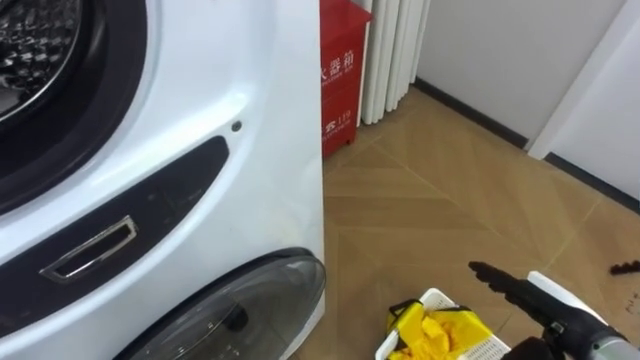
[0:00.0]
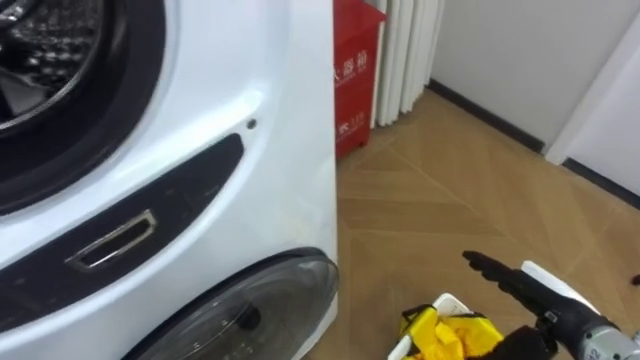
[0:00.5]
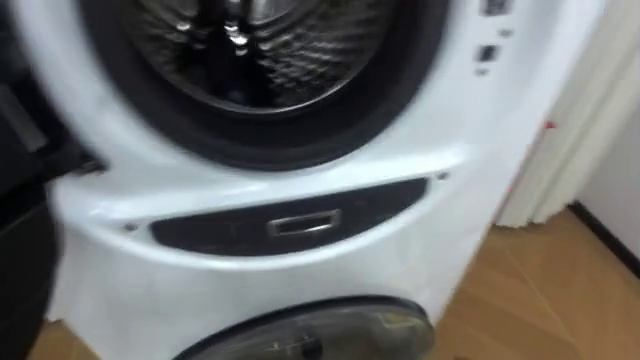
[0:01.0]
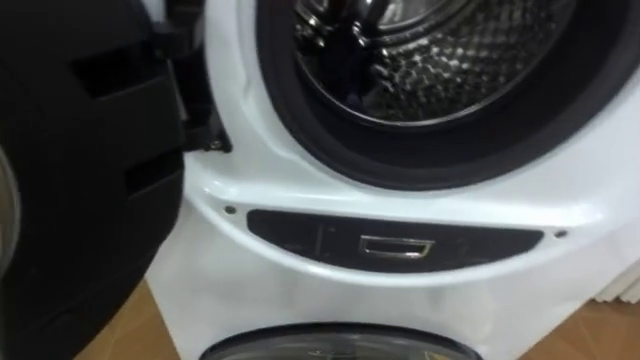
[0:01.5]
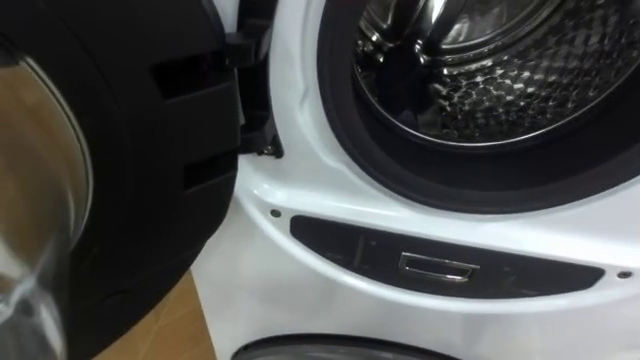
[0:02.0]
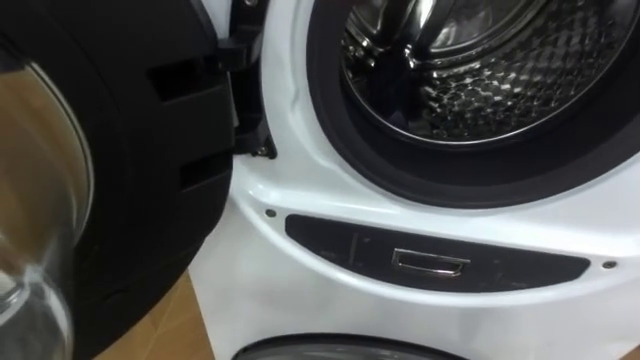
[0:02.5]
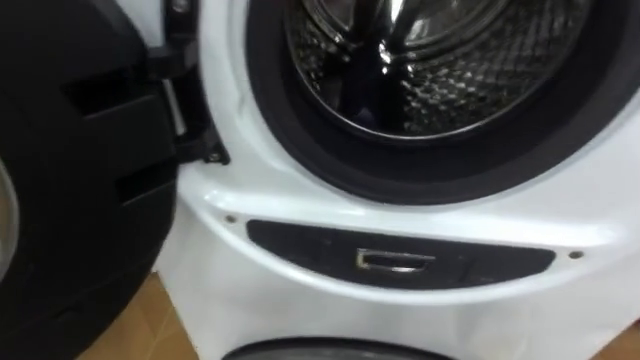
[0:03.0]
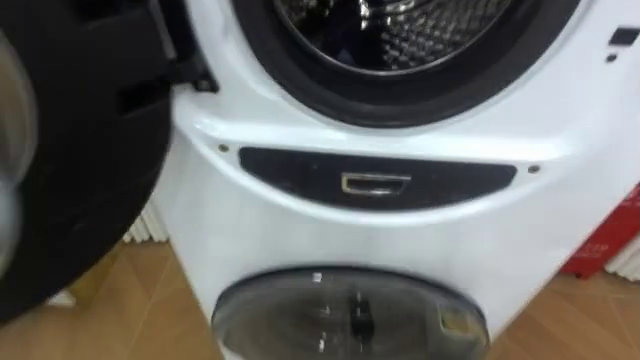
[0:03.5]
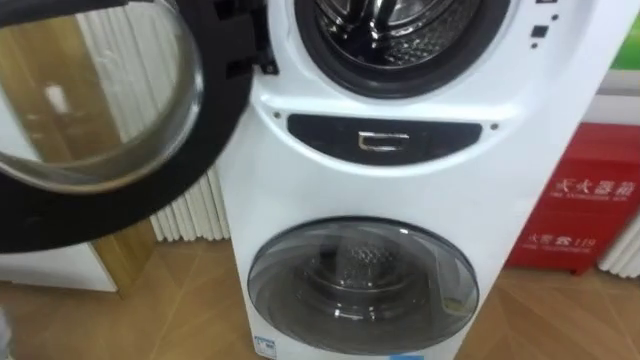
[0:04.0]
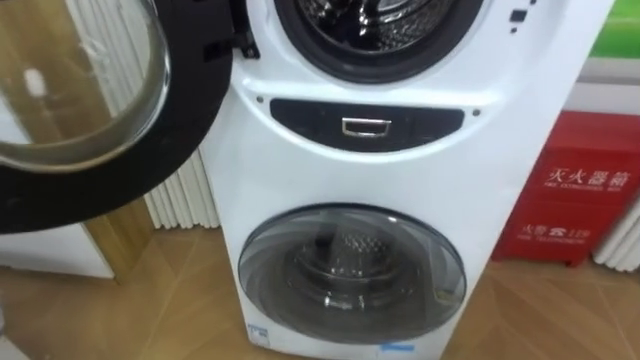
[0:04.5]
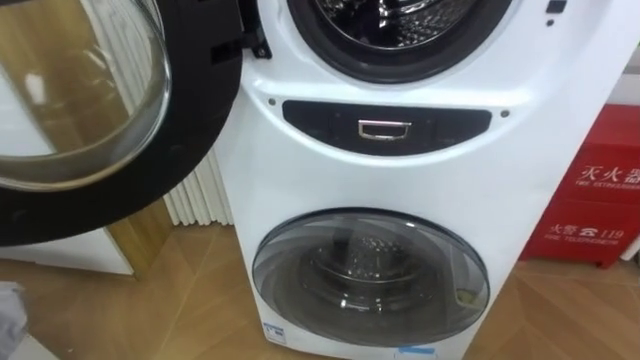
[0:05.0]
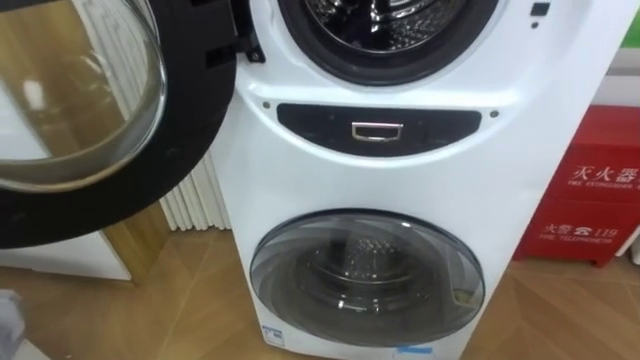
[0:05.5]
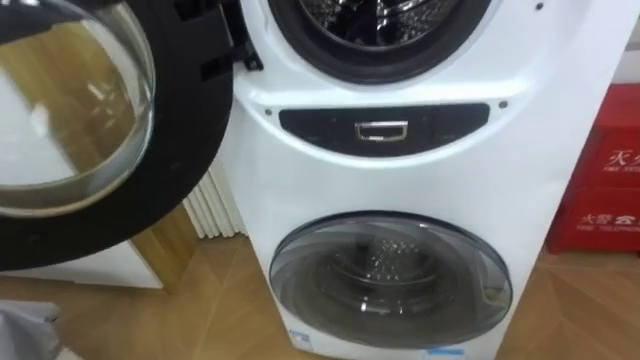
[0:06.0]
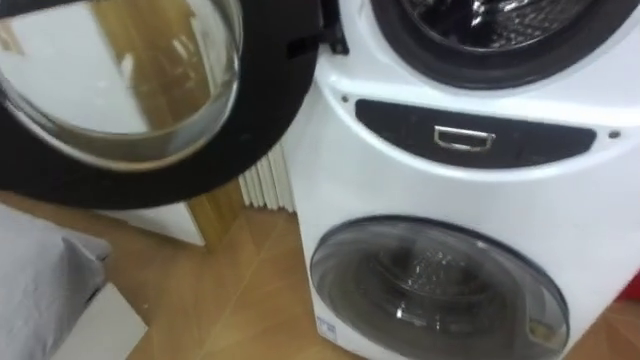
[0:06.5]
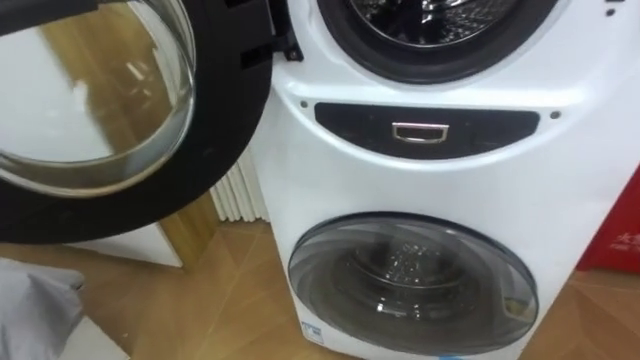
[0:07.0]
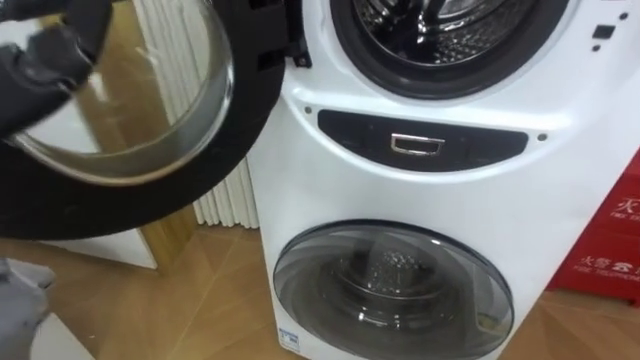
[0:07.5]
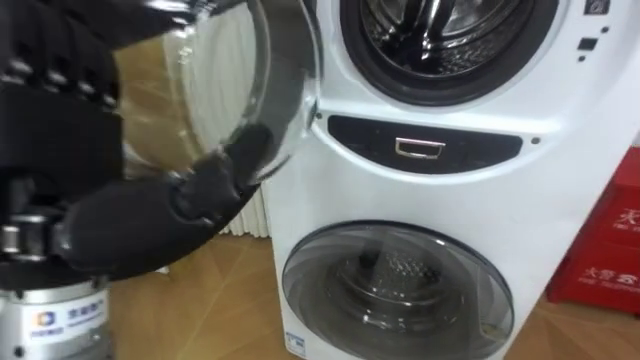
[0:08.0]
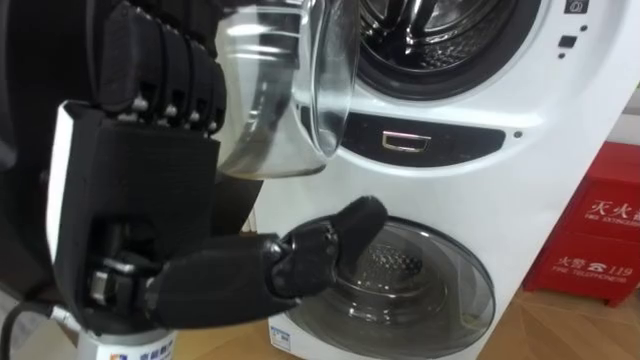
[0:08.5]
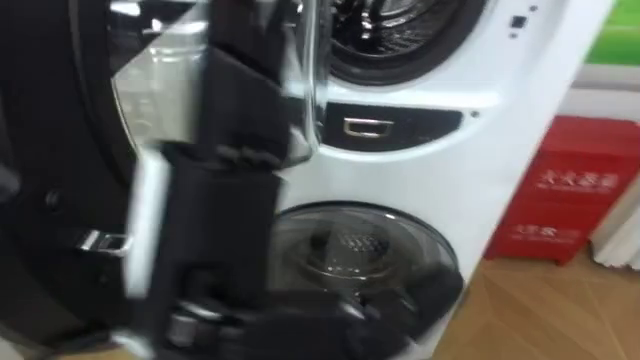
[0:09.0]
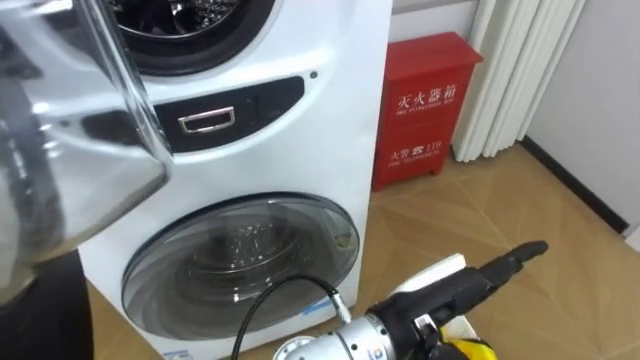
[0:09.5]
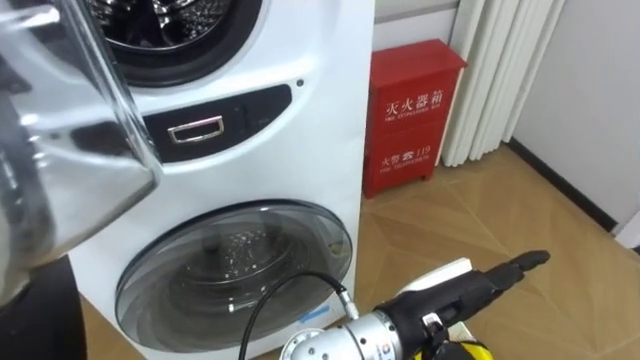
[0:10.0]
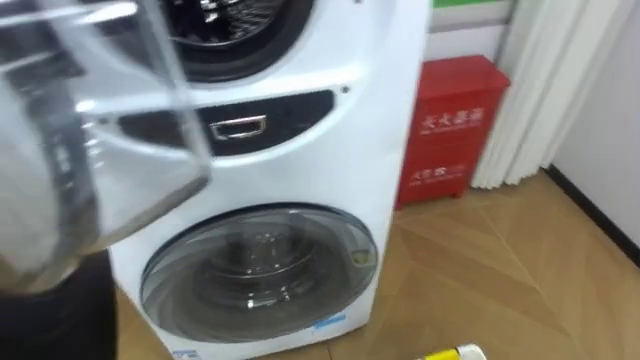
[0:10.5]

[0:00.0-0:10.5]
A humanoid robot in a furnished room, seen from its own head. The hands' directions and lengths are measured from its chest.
Task of the whole recording: Open the washing machine door, take out the yellow clothes, place them in the box on the right, and close the washing machine door.
0:00.0 to 0:02.0: The robot rotates some 40 degrees to its left.

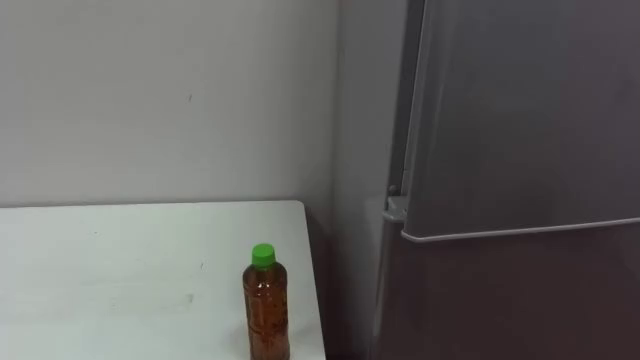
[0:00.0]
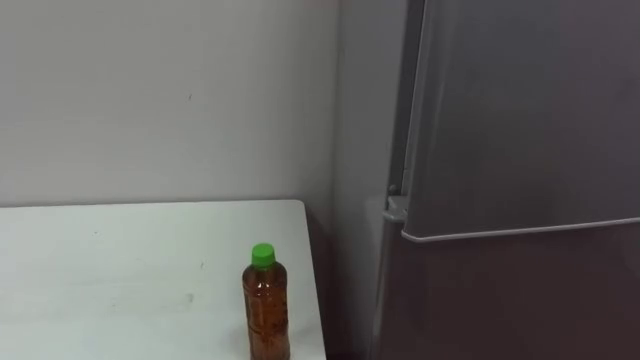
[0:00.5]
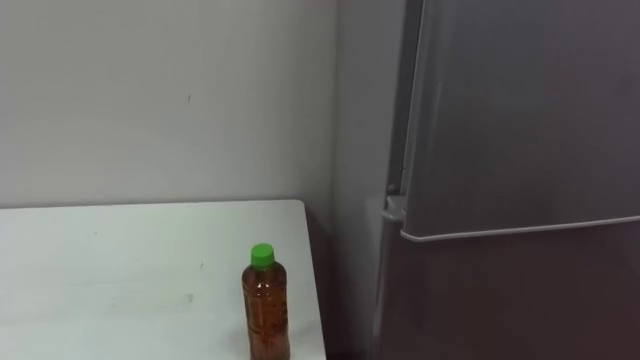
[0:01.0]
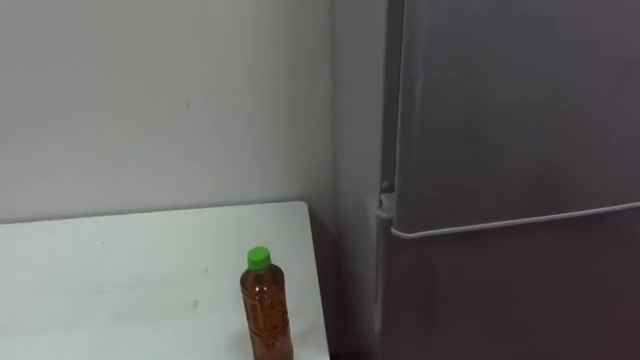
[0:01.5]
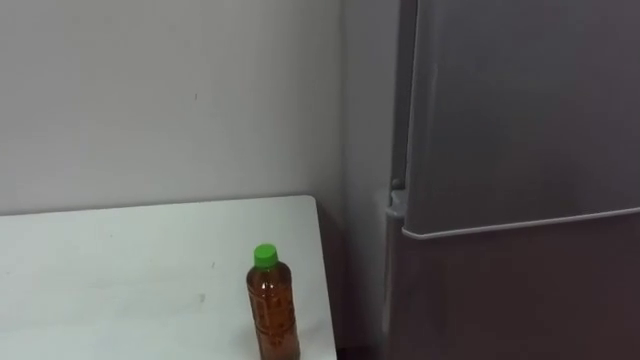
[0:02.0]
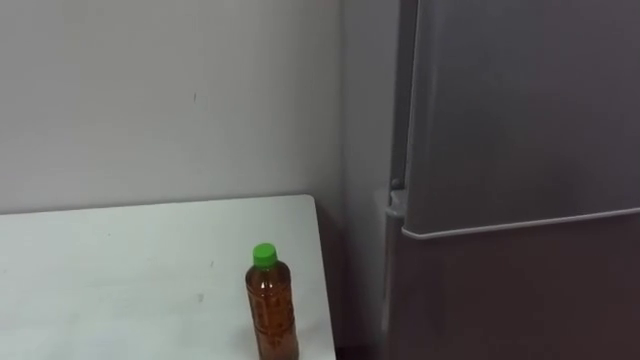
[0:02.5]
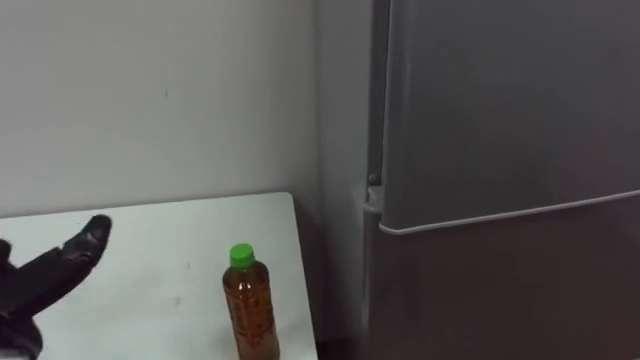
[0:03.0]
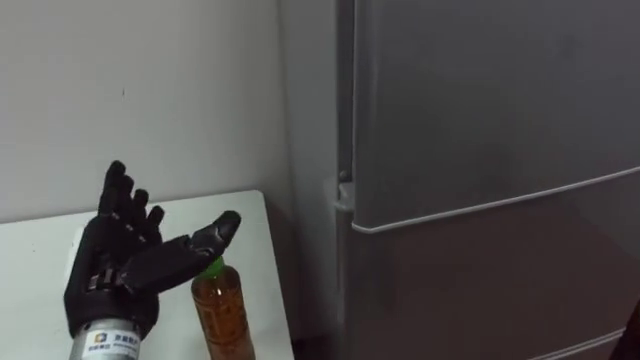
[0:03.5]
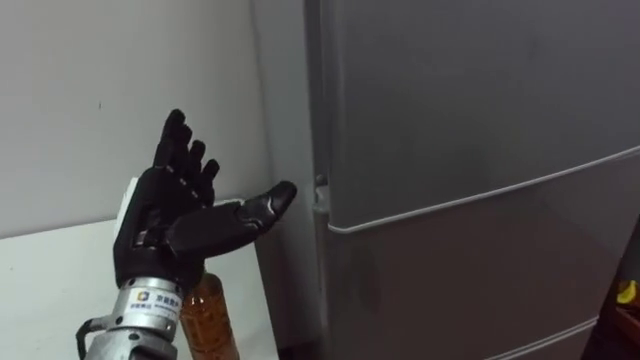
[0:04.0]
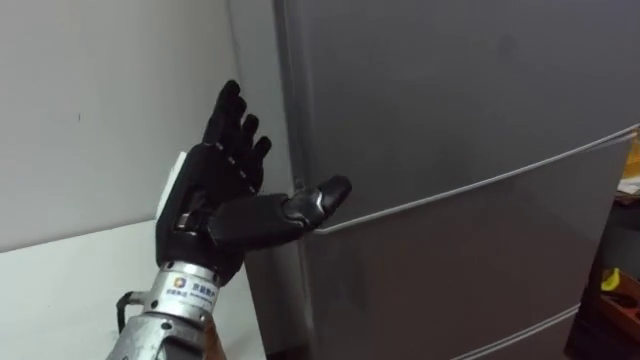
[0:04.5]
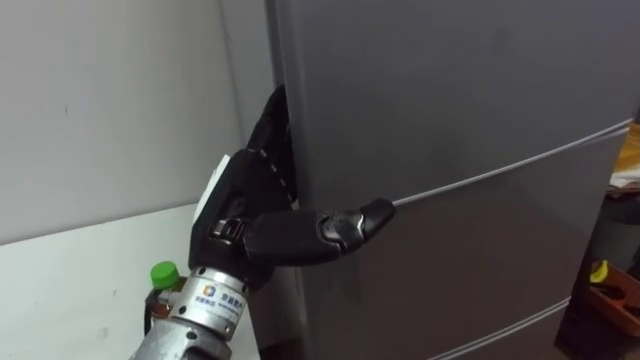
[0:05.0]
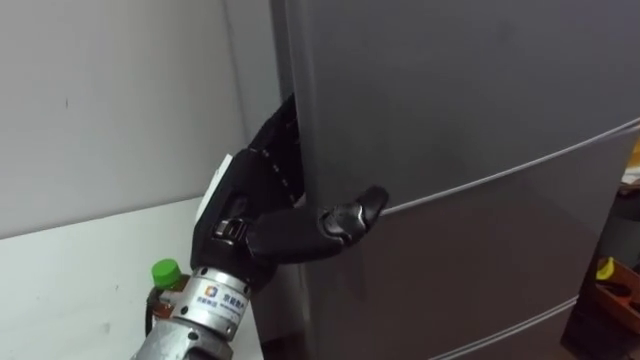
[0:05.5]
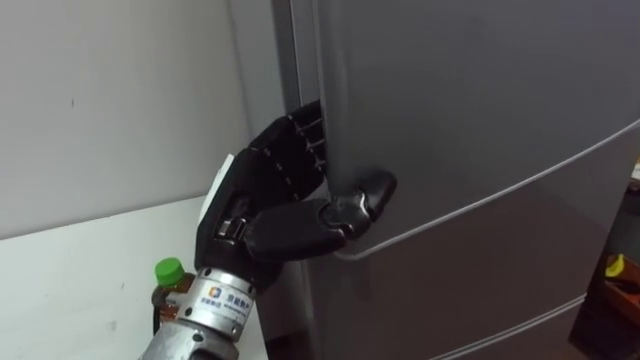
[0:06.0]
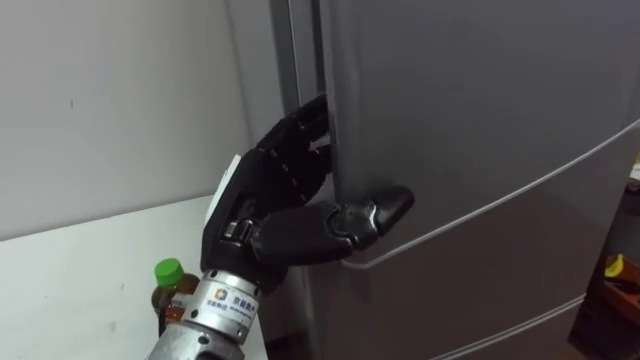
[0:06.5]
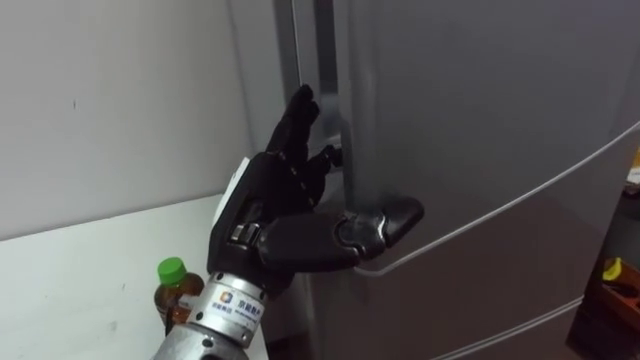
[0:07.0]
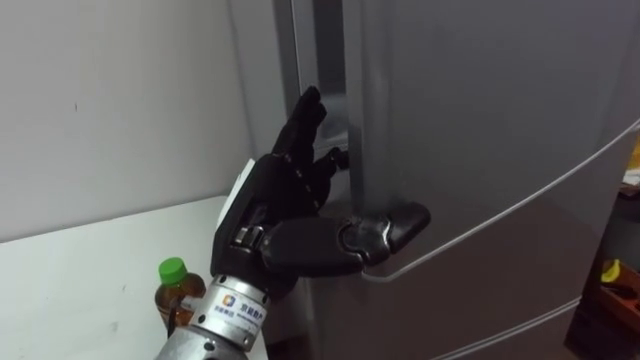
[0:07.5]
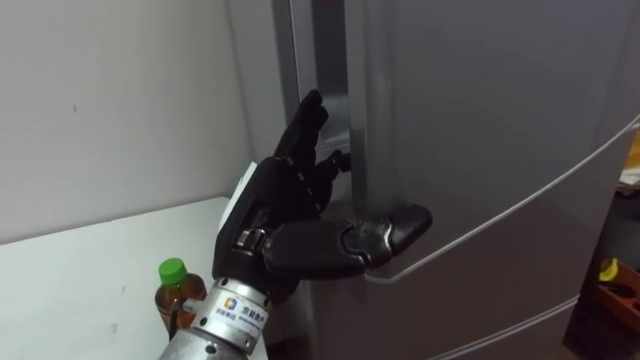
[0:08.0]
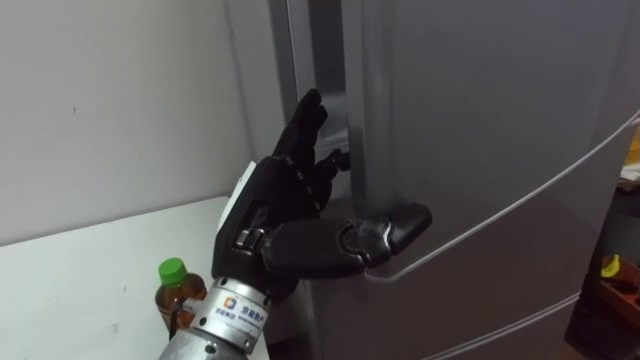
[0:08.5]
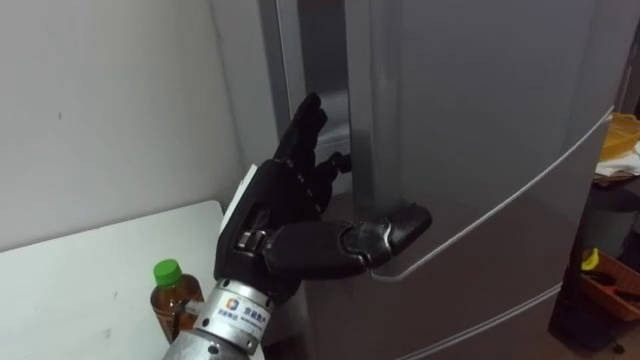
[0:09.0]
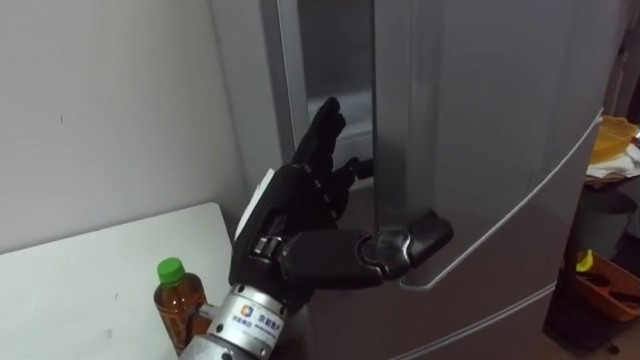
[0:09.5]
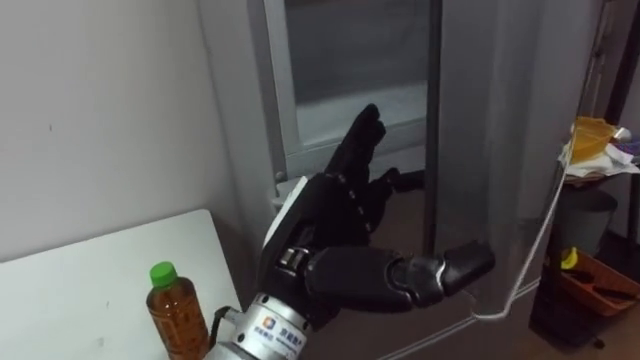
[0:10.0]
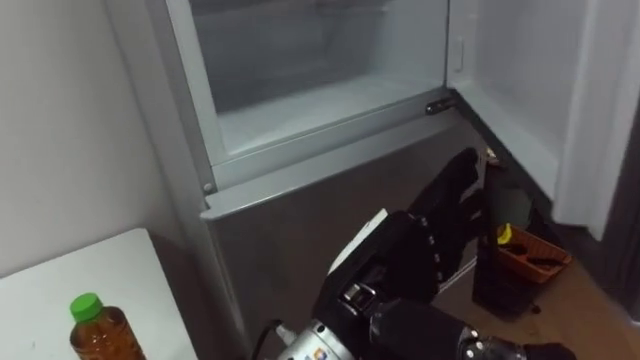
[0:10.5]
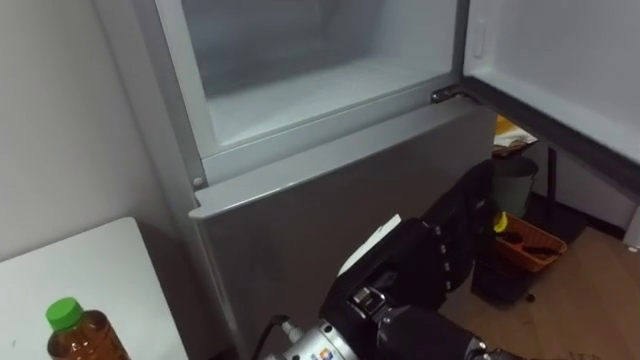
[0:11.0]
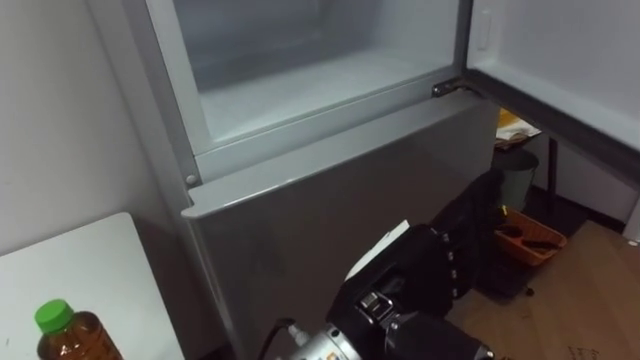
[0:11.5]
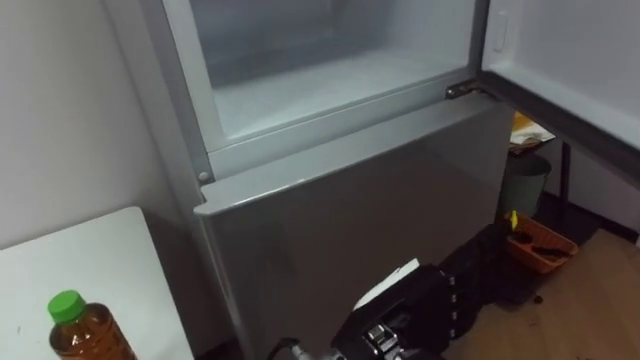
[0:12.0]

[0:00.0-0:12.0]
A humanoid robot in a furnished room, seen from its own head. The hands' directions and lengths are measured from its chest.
Task of the whole recording: Open the upper refrigerator door, put the drink from the table into the refrigerator, and then close the refrigerator door.
0:04.0 to 0:06.0: The left hand goes roughly 10 cm to the right, and closes up.
0:06.0 to 0:08.0: The left hand opens up.
0:10.0 to 0:12.0: The left hand shifts some 10 cm to the right and downward.
